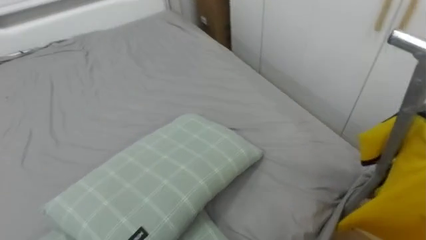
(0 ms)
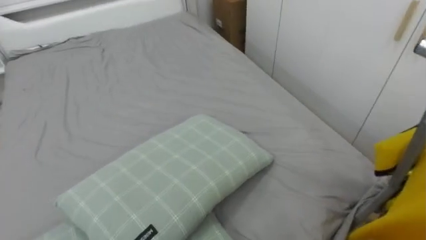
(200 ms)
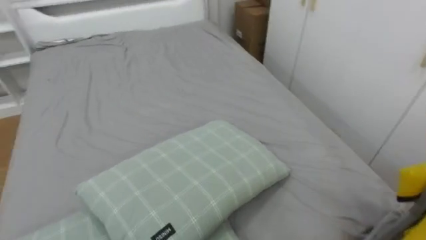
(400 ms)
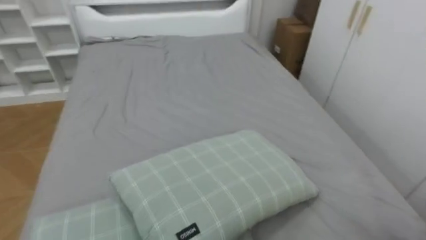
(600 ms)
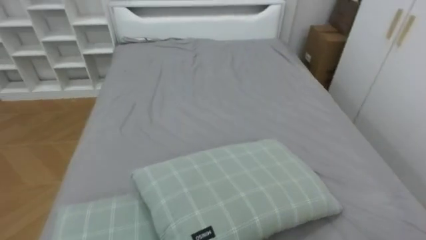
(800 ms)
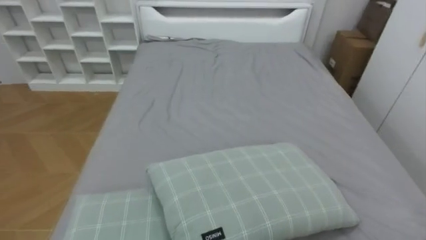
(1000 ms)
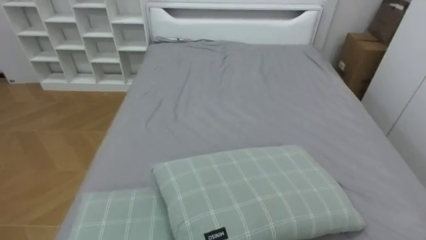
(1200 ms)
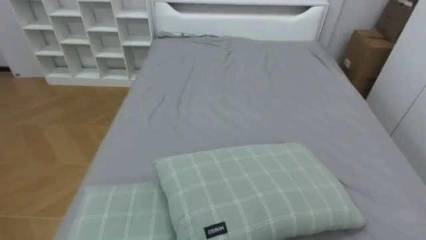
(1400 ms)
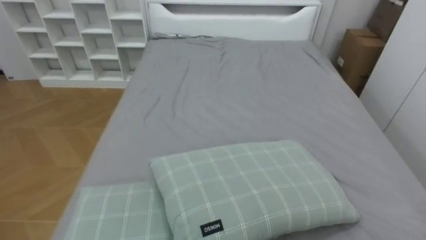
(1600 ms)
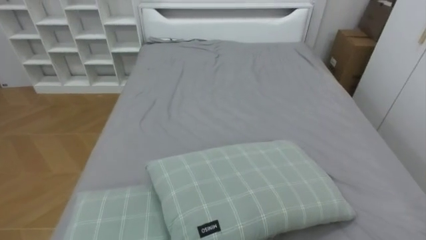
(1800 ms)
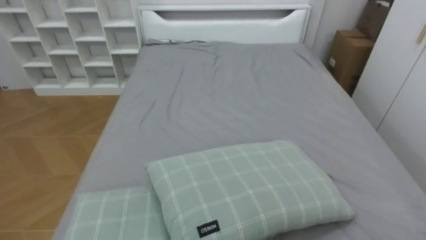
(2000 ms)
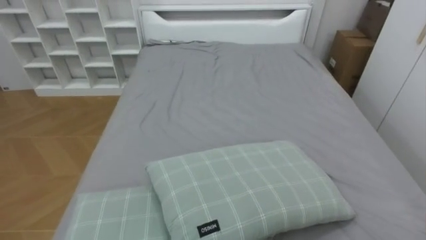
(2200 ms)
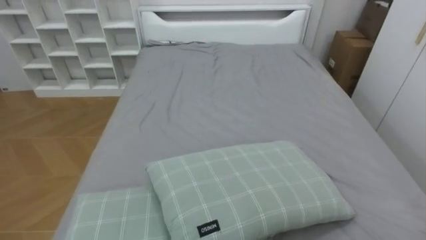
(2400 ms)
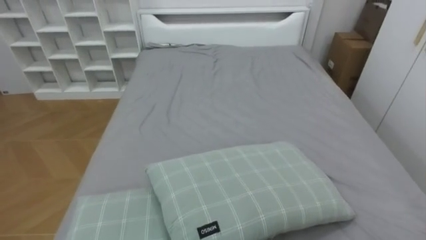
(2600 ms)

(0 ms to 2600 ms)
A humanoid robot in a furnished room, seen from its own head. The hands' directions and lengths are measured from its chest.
Task of the whole recording: Pick up the yellow shirt on the bed and hang it on the clothes rack on the right.
0 ms - 1200 ms: The robot faces some 35 degrees further to its left.

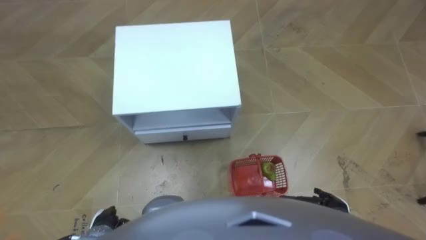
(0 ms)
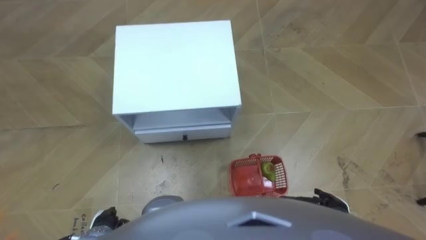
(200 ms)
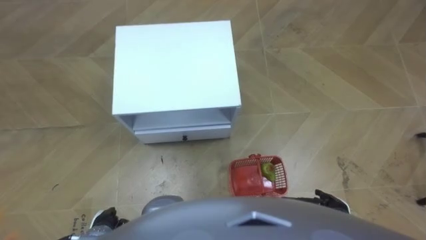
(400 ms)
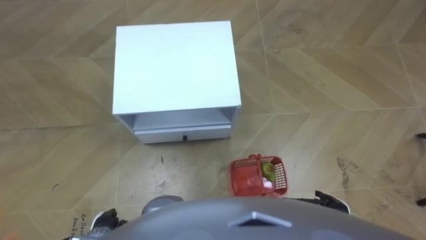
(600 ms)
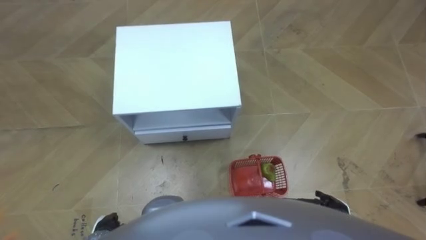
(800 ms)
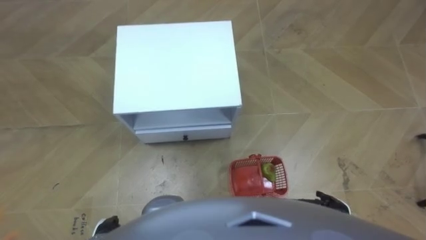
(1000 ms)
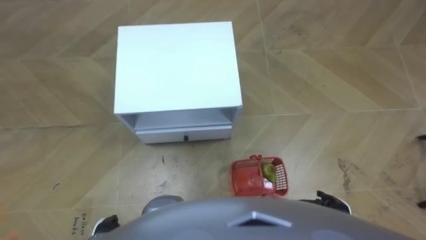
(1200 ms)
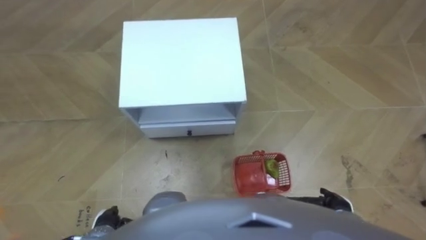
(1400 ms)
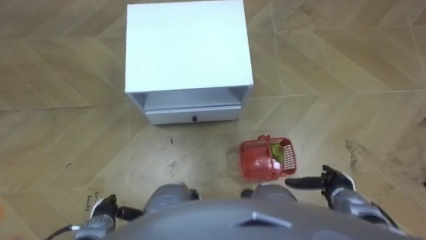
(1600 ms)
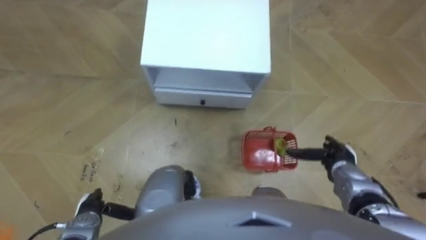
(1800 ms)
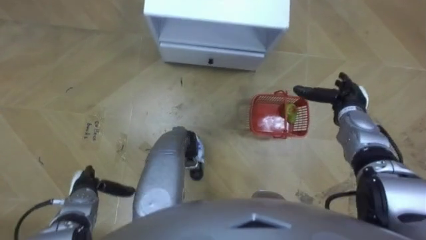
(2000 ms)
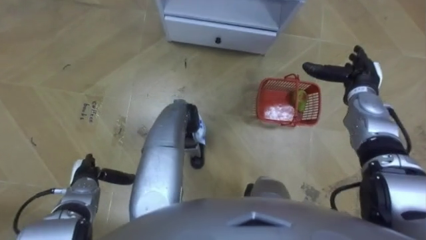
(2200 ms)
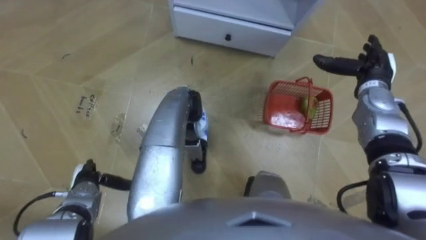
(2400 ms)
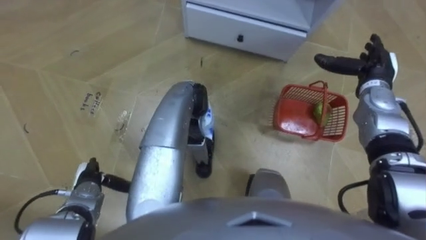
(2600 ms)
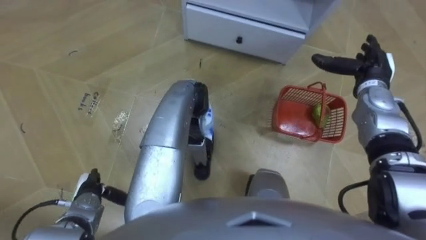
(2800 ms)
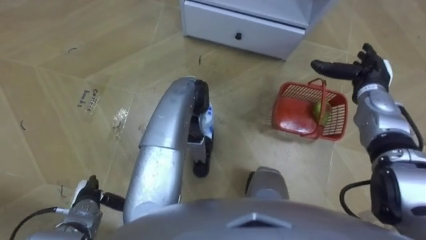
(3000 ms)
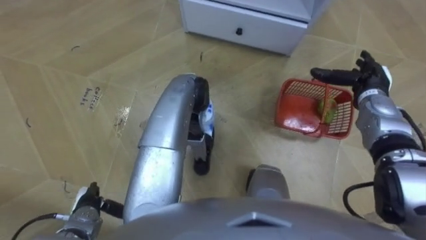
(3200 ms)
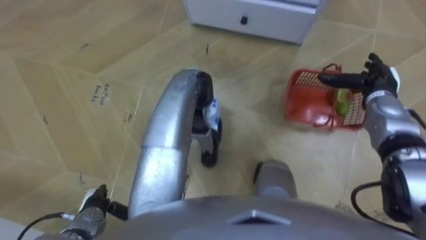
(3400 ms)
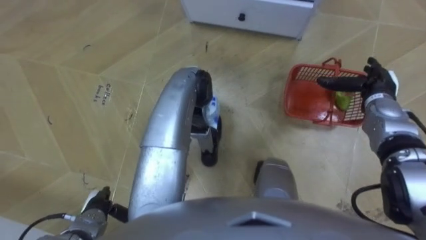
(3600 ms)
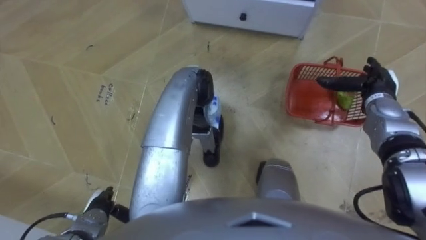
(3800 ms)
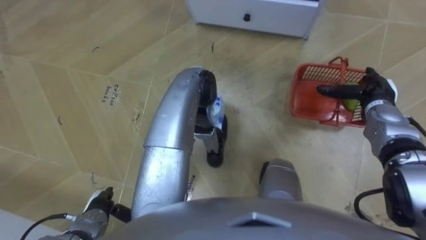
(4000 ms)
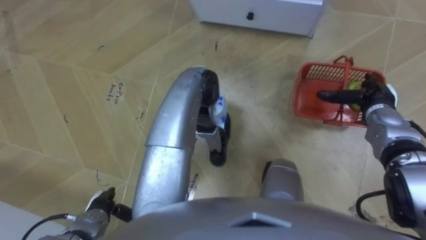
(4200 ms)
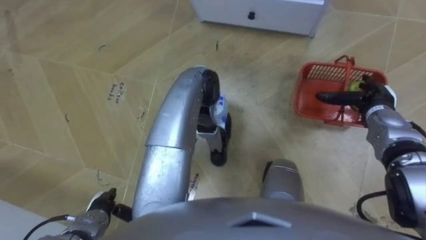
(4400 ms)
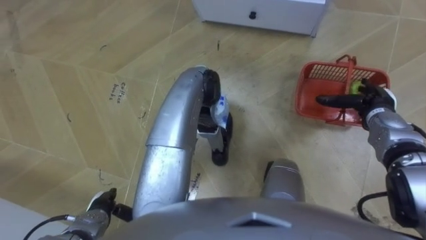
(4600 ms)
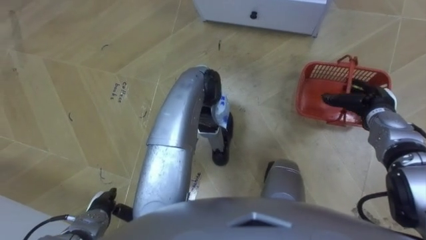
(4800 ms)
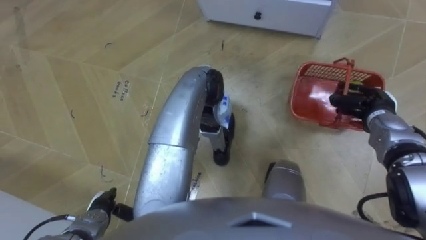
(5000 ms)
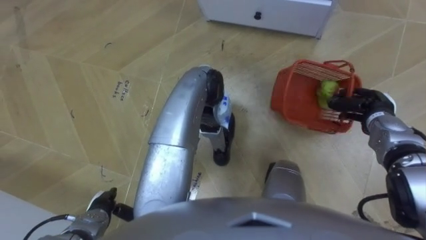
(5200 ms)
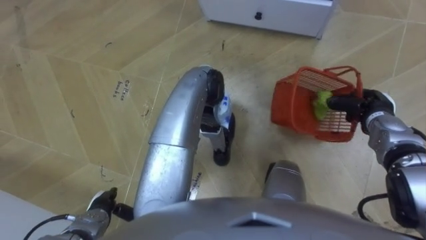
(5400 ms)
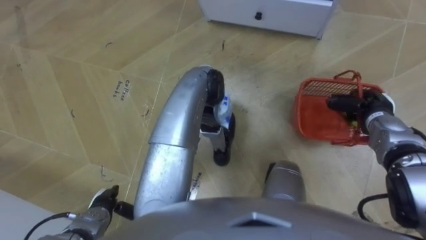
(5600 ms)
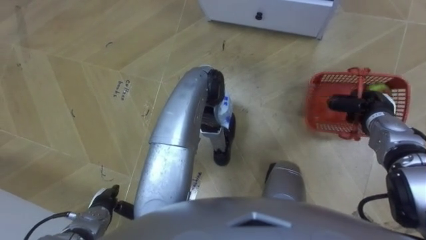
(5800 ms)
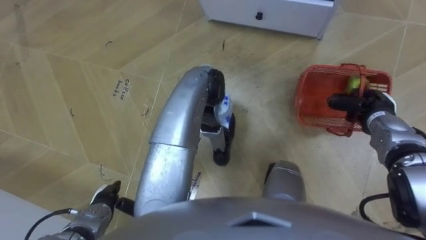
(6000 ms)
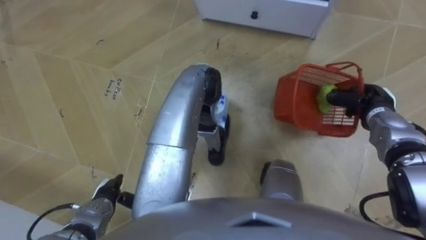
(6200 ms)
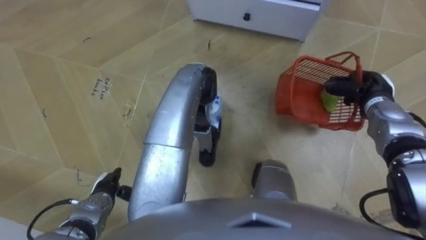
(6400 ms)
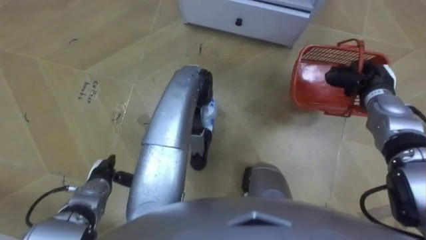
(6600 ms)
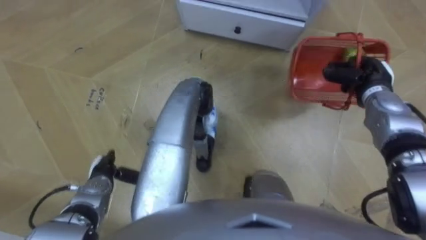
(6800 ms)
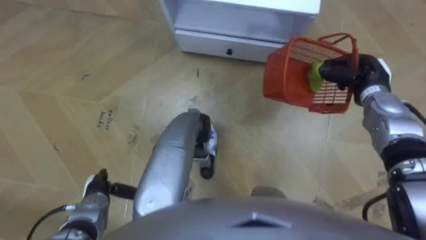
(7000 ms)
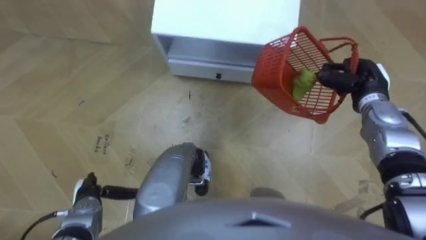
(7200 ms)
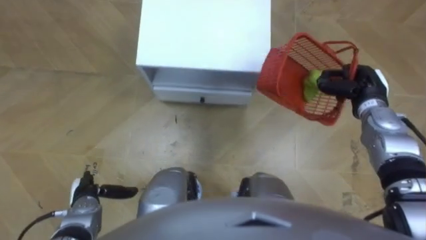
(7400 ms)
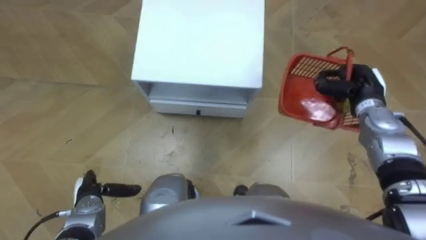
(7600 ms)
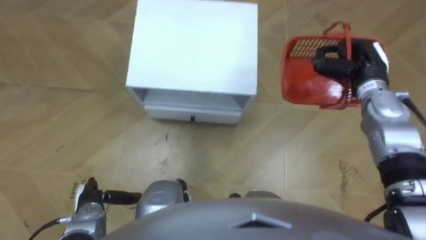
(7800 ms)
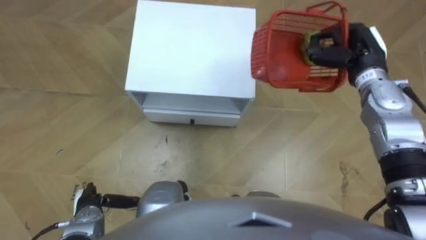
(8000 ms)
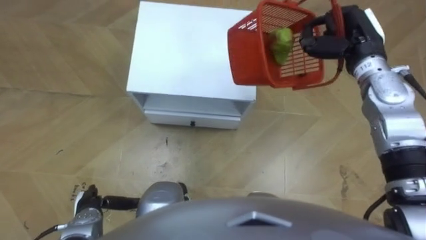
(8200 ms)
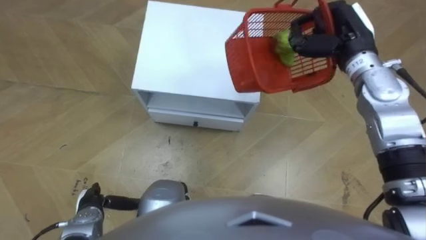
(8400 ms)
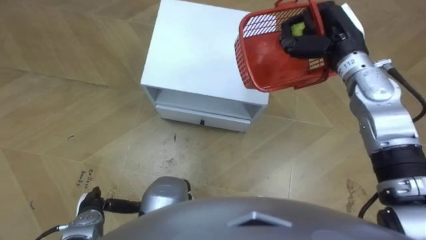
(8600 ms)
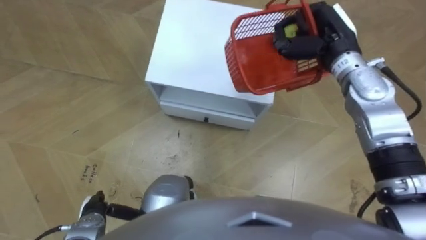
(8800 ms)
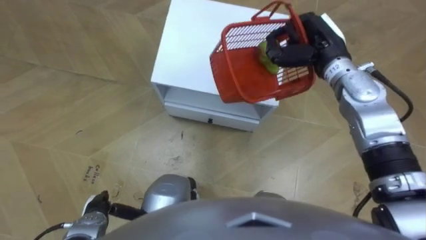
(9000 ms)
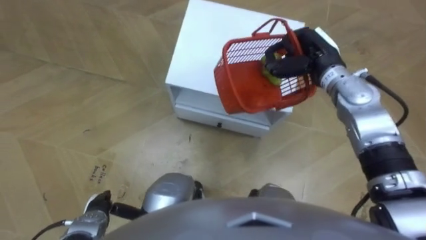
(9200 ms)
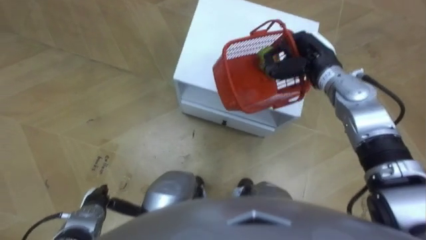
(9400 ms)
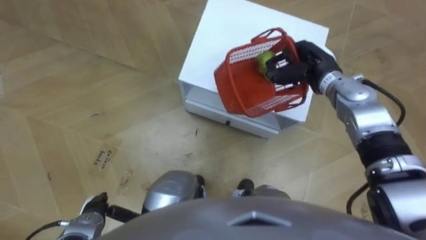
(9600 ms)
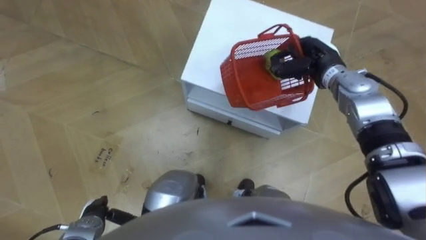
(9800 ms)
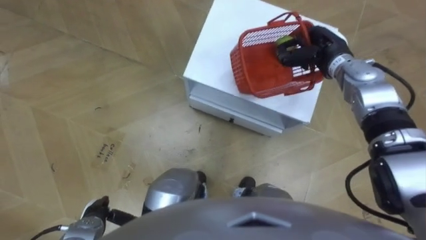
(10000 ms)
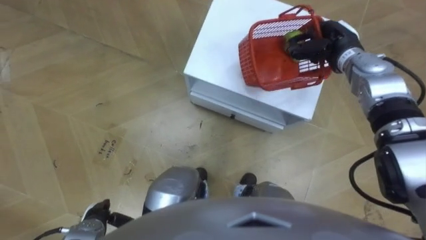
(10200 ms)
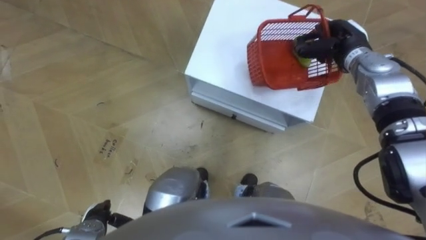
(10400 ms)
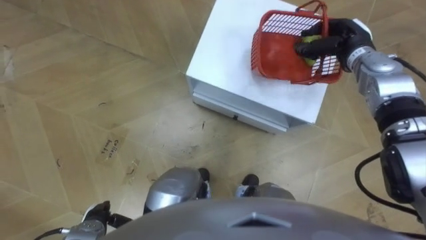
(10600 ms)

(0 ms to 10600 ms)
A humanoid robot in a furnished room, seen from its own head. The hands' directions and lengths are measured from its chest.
Task of the whole recording: Pick up the fruit basket from the floor and place it on the cabinet.
1600 ms - 3000 ms: The right hand shifts about 25 cm forward and upward.
3000 ms - 4600 ms: The right hand moves roughly 5 cm.
4600 ms - 6000 ms: The right hand closes.
6000 ms - 7600 ms: The left hand reaches approximately 10 cm forward, then returns, while the right hand moves about 5 cm.
7600 ms - 9000 ms: The right hand travels to the left, upward and forward by about 15 cm.
9000 ms - 10600 ms: The right hand goes about 5 cm to the right.

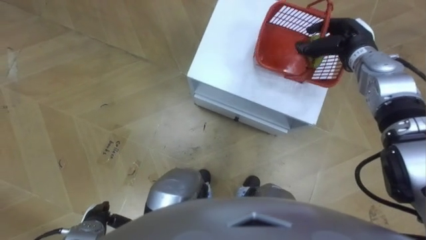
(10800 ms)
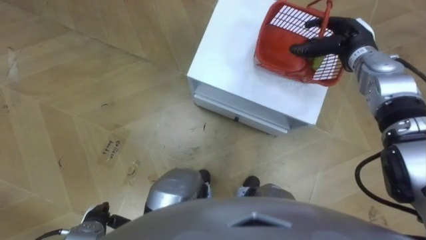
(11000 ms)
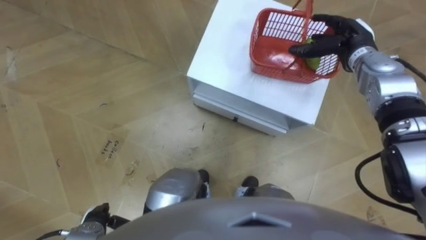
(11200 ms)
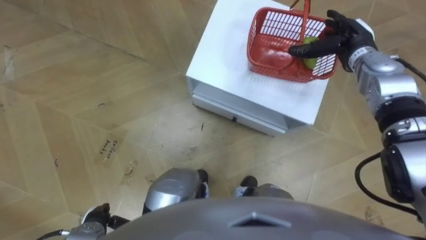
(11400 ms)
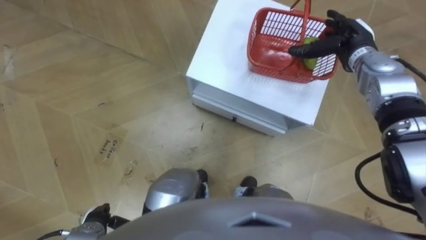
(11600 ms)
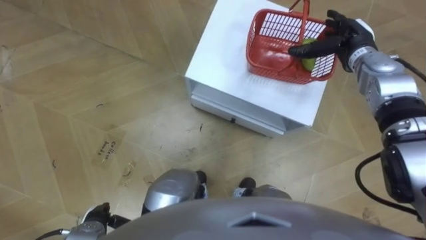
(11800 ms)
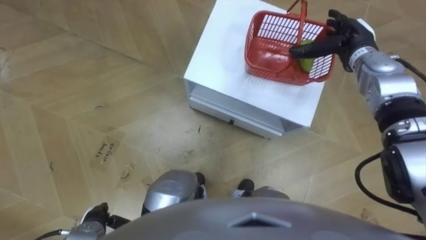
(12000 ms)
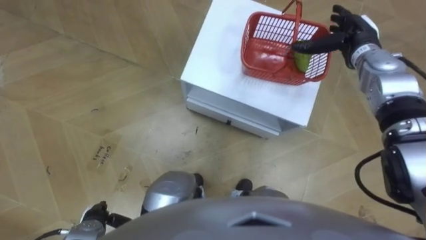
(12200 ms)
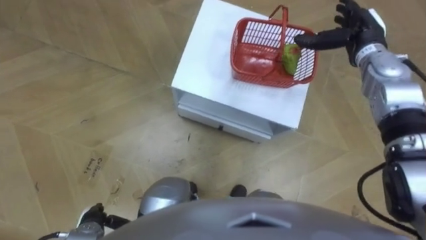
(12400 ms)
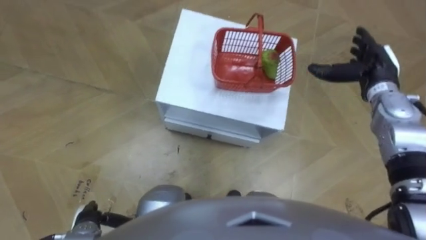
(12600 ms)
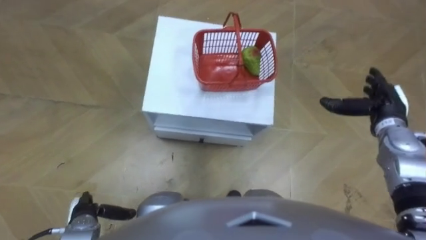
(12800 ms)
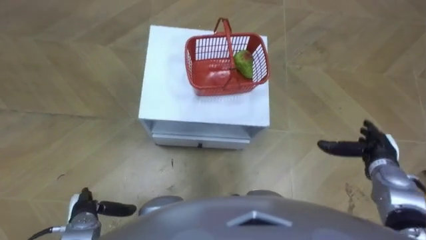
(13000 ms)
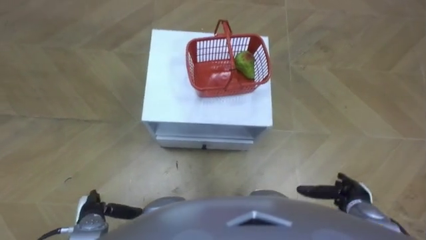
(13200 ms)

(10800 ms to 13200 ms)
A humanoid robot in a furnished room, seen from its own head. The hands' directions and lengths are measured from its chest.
Task of the whole recording: Pick up the fruit basket from the floor and place it on the cabinet.
10800 ms - 12000 ms: The right hand opens up.
12000 ms - 13200 ms: The right hand heads backward and downward, covering some 35 cm.

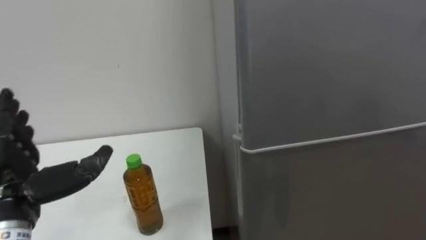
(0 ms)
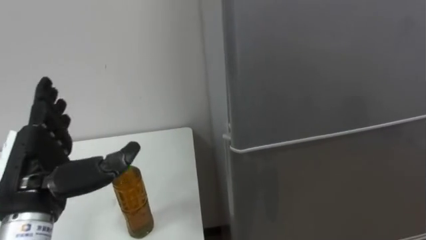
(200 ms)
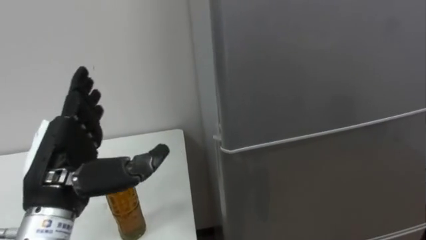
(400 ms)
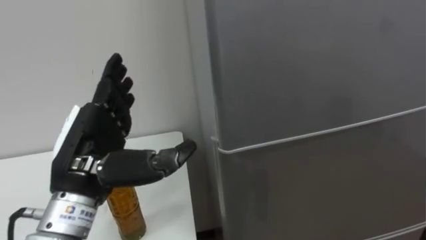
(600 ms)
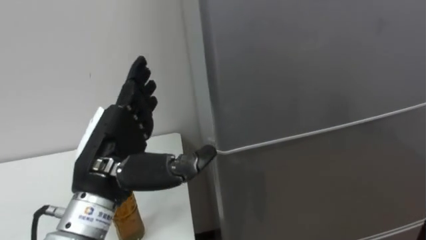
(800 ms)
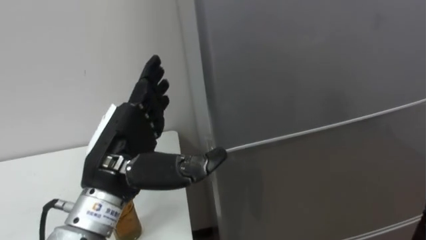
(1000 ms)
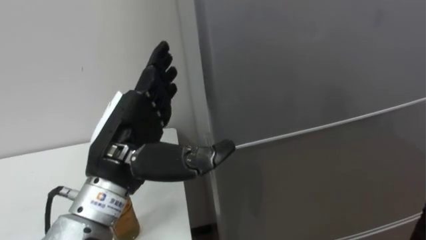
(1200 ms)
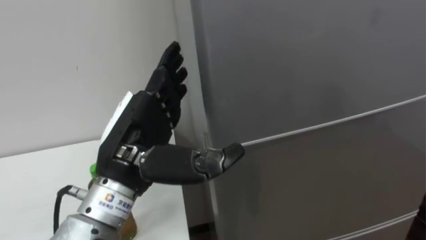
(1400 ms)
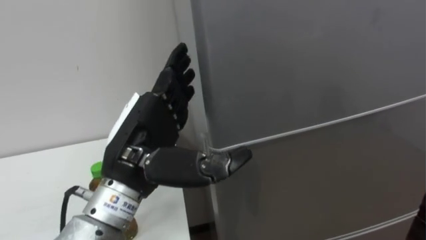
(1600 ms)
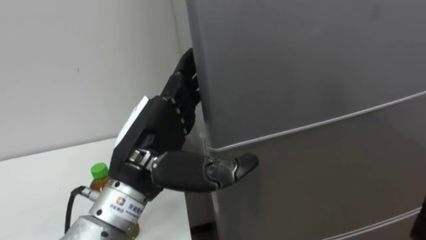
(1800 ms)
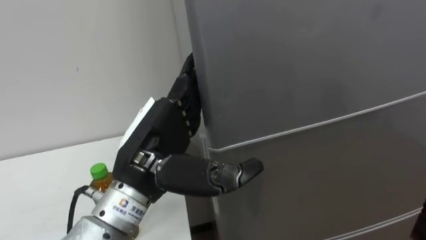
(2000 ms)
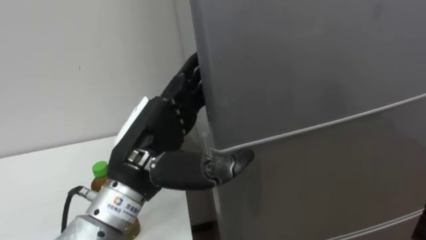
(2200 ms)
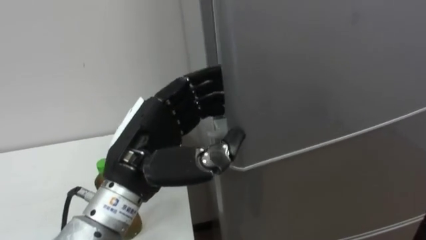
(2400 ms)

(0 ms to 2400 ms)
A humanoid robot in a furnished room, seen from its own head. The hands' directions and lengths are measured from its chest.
Task of the whole recording: Open the upper refrigerator door, put the drink from the table into the refrigerator, and then close the refrigerator door.
0 ms - 1200 ms: The left hand moves to the right, about 15 cm.
1200 ms - 2400 ms: The left hand closes its fingers.
